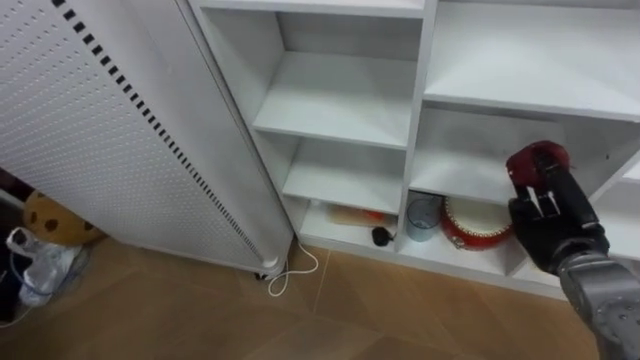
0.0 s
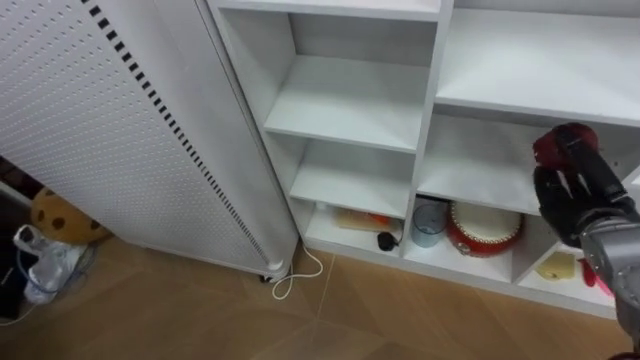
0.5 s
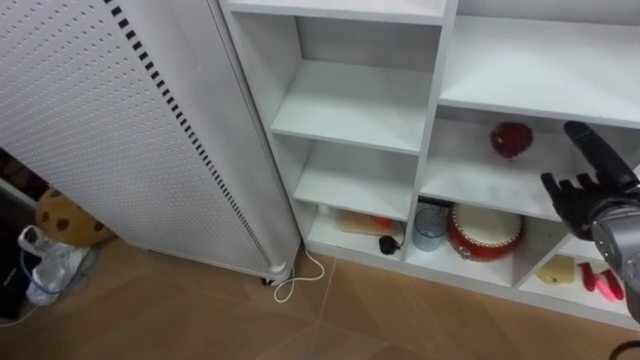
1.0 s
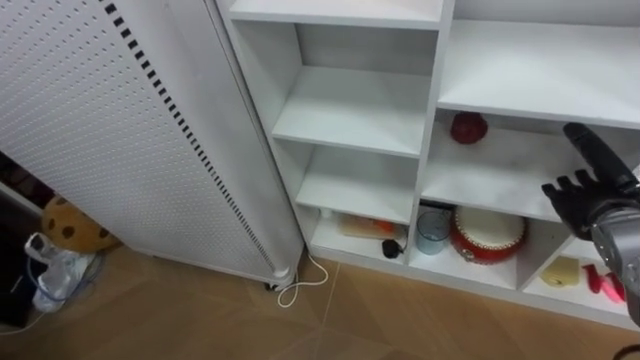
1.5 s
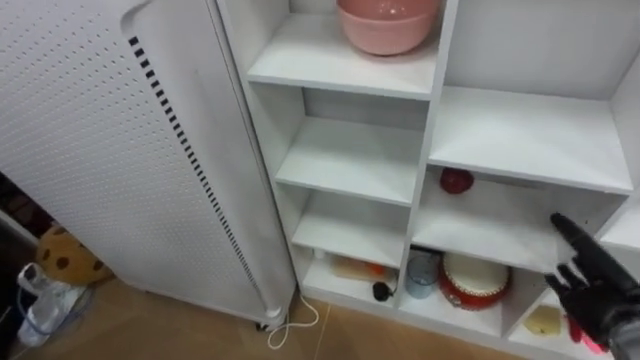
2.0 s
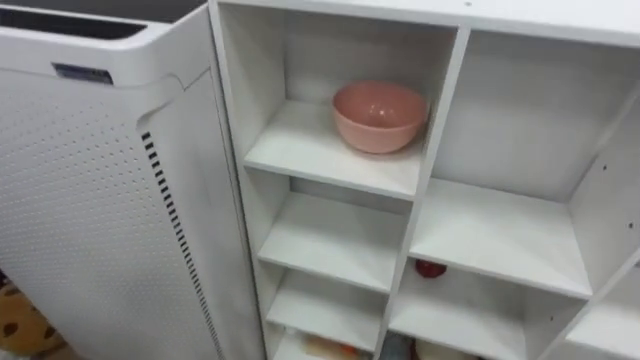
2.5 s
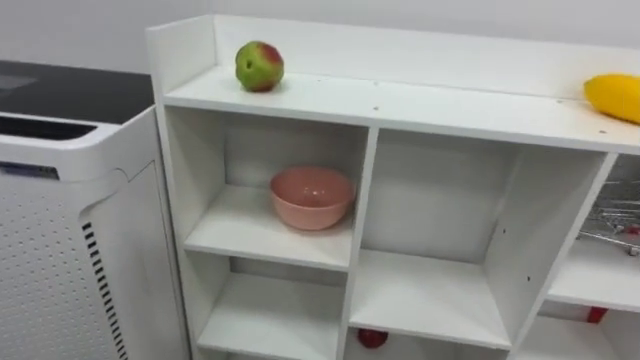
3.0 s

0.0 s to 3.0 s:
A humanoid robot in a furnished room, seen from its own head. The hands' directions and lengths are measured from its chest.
Task of the whole recording: Put the apple in the cell in the second column from the left and the second row from the top.
0.0 to 1.5 s: The right hand moves approximately 5 cm, and opens up.

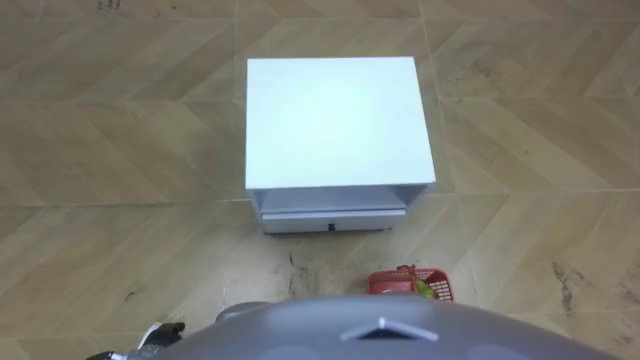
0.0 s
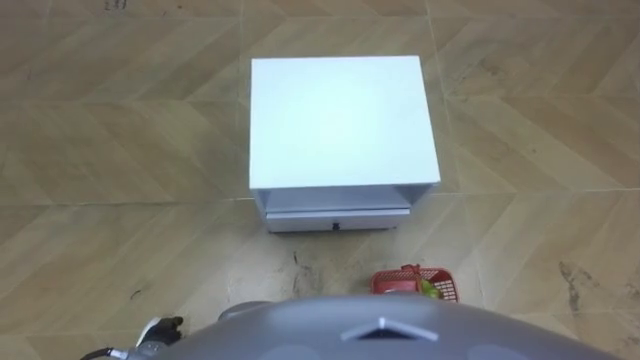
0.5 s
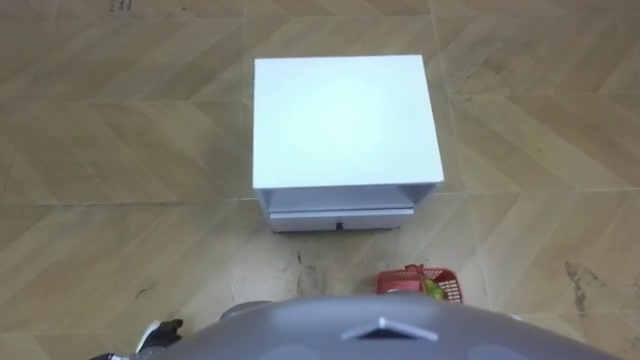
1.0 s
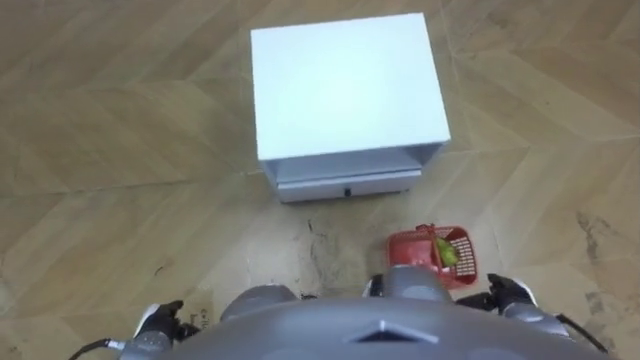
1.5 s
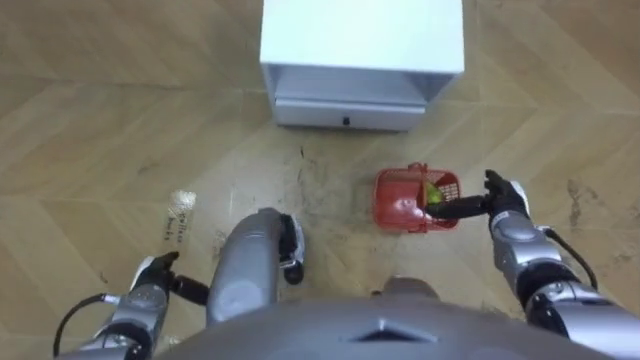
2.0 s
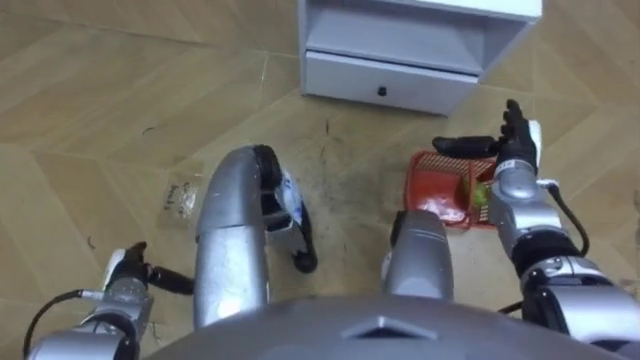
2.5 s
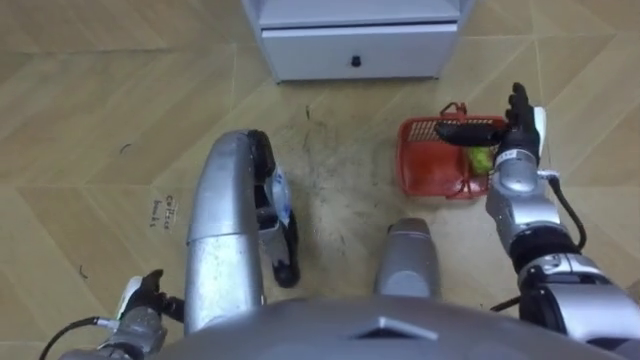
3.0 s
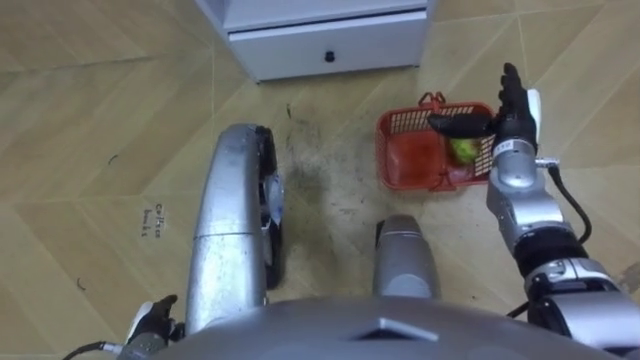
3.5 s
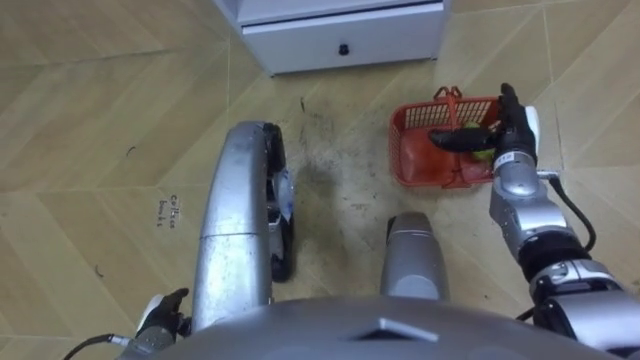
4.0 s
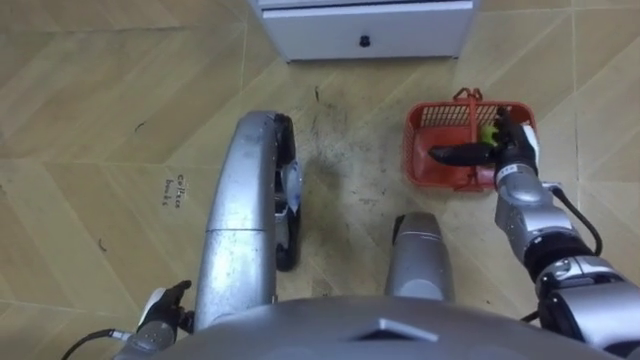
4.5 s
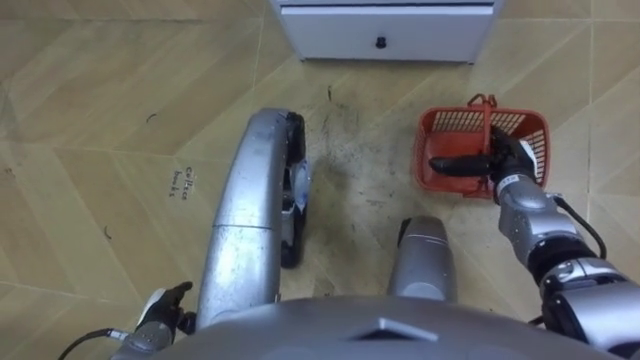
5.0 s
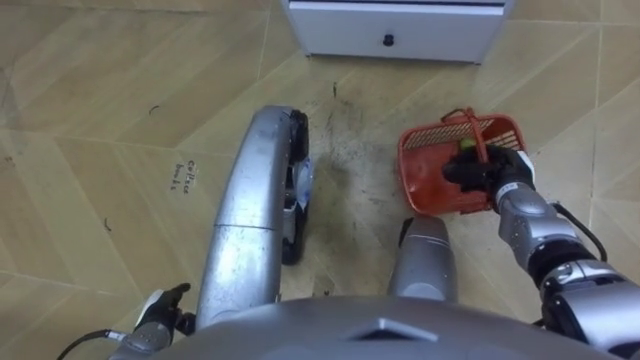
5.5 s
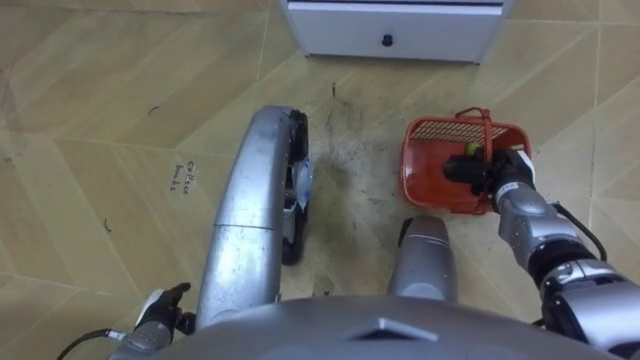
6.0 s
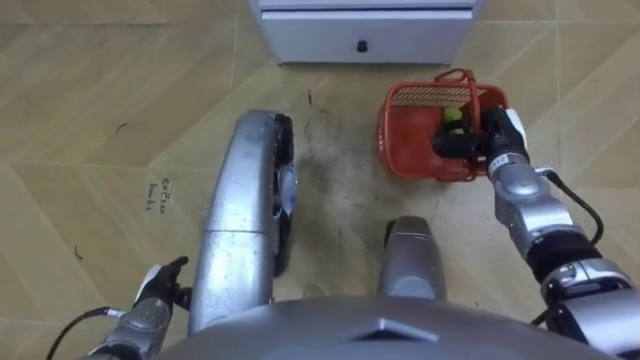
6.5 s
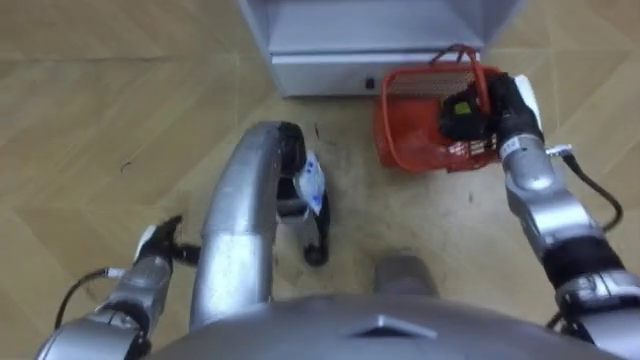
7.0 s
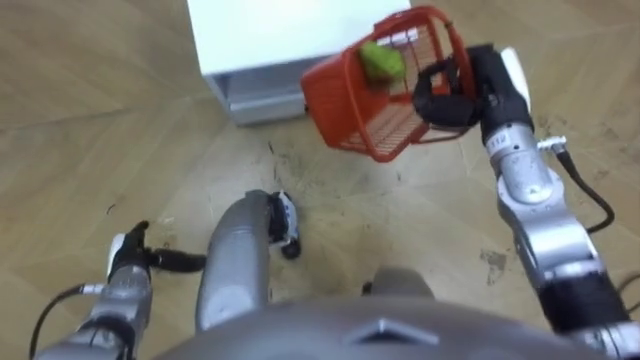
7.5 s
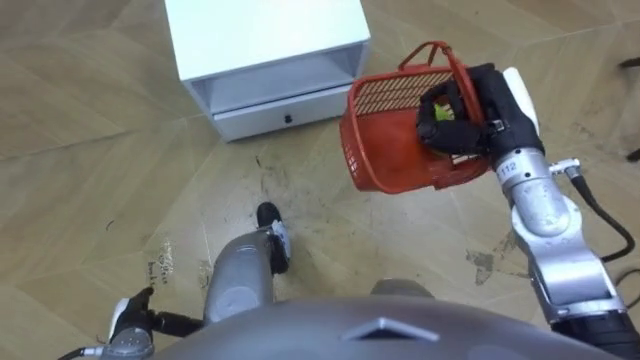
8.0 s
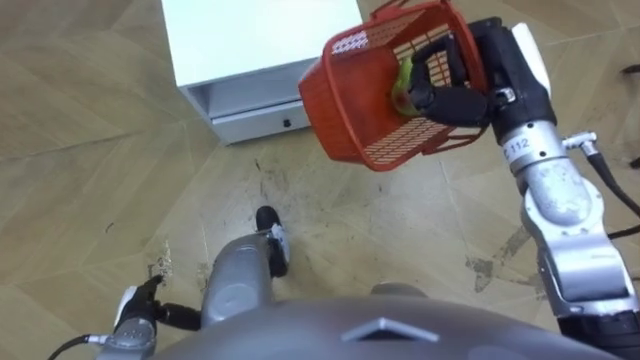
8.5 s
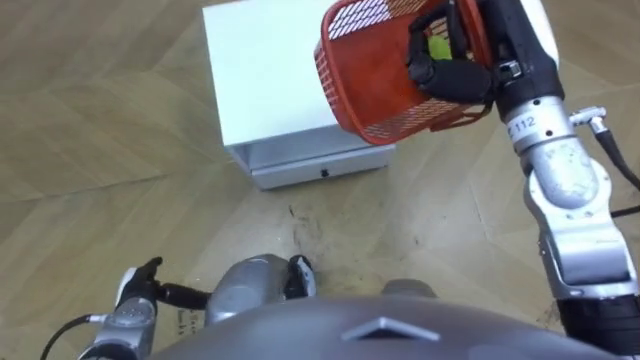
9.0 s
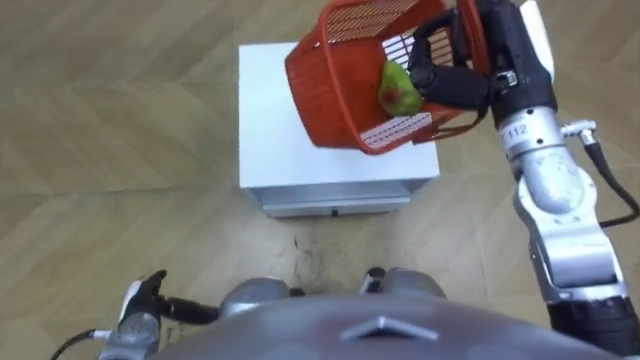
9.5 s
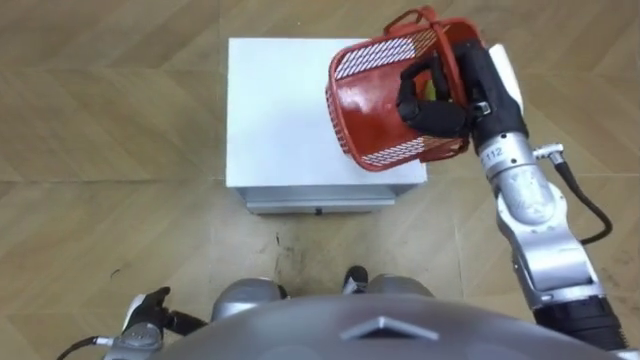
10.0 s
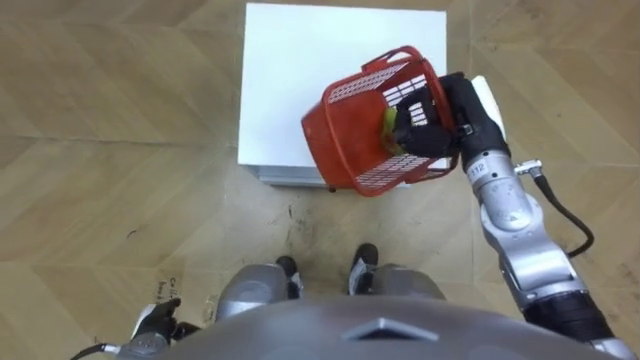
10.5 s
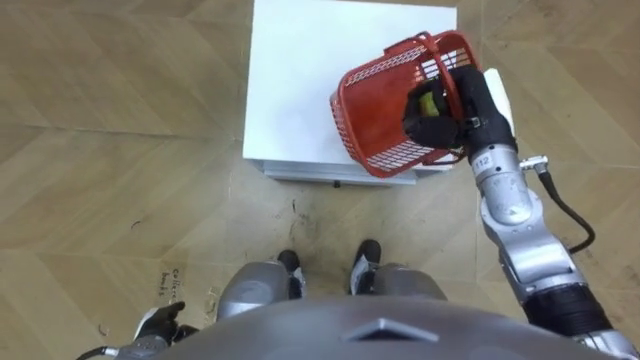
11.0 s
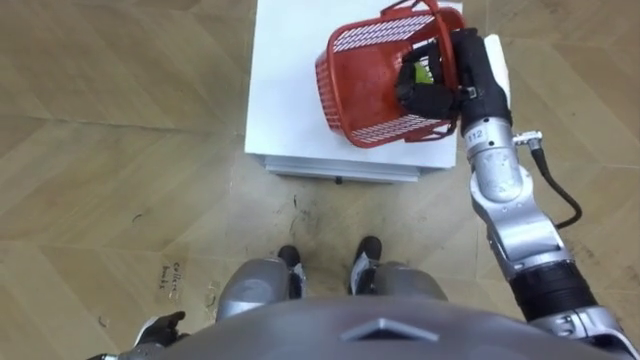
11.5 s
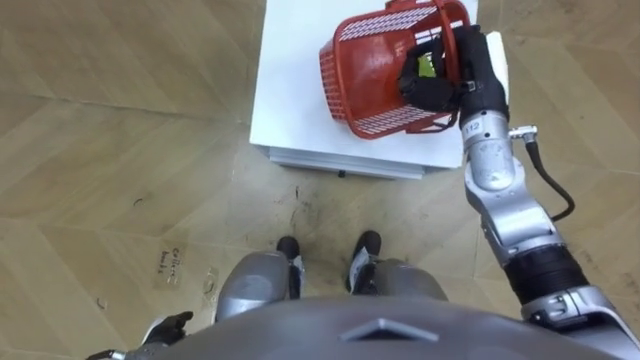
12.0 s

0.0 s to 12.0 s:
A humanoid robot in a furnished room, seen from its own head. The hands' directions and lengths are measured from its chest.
Task of the whole recording: Pick up the fruit basket from the floor and place it on the cabinet.
2.0 to 4.0 s: The right hand is displaced forward and upward by approximately 10 cm, while the left hand is displaced backward by about 5 cm.
4.0 to 6.0 s: The right hand ends up some 5 cm from where it was, and closes up.
6.0 to 8.0 s: The robot faces roughly 20 degrees further to its right. The left hand reaches some 10 cm forward, then returns. The right hand moves upward, approximately 15 cm.
8.0 to 10.0 s: The right hand goes upward and returns, approximately 10 cm each way.

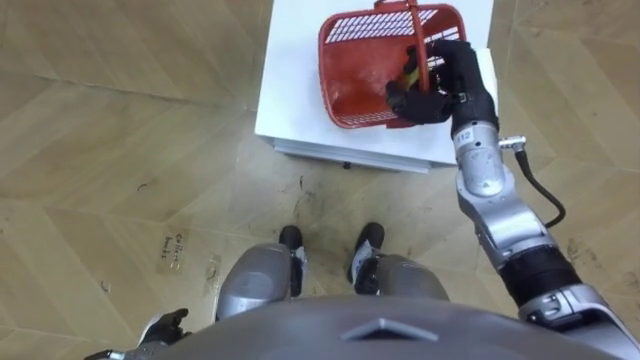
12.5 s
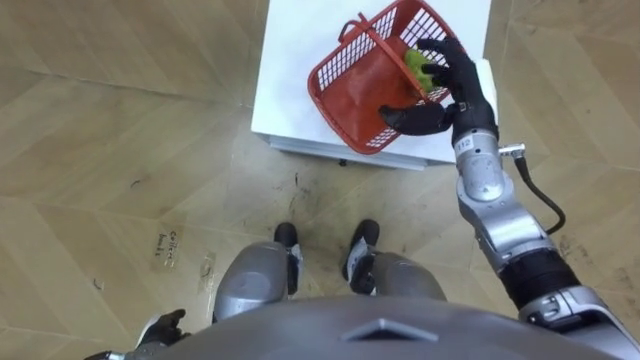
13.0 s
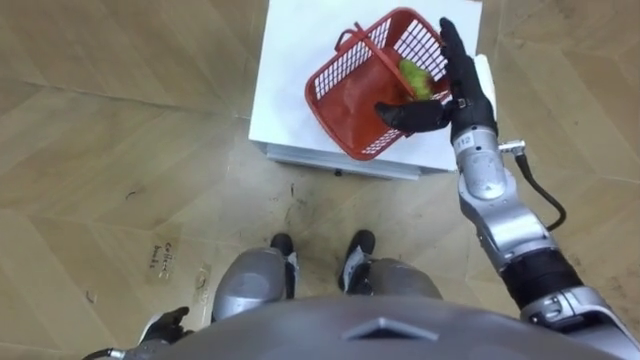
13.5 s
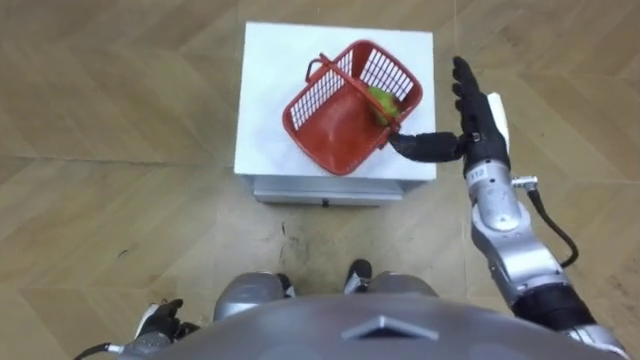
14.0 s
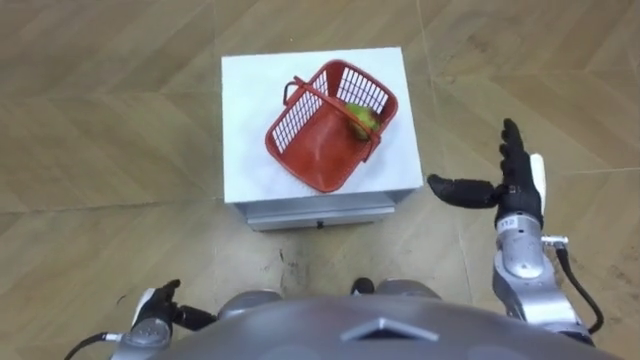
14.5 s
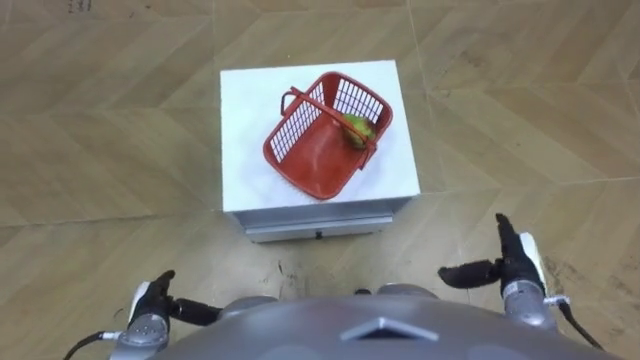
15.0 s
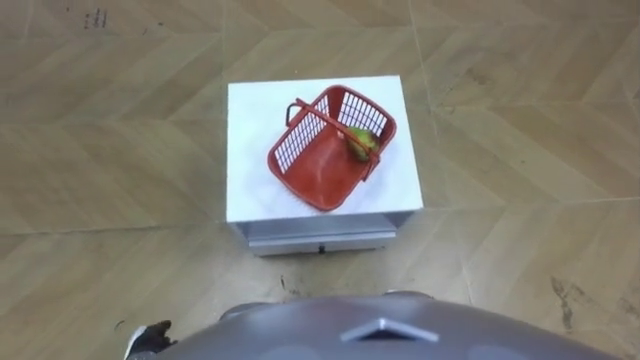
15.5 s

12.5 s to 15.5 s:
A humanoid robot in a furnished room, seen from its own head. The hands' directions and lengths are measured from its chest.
Task of the whole recording: Pick up the fruit basket from the floor and place it on the cabinet.
12.5 to 14.0 s: The right hand ends up approximately 5 cm from where it was, and opens its fingers.

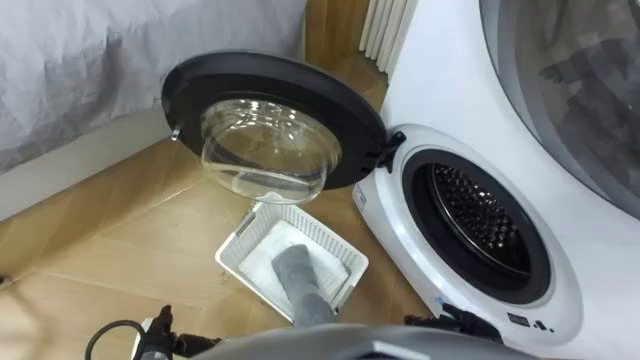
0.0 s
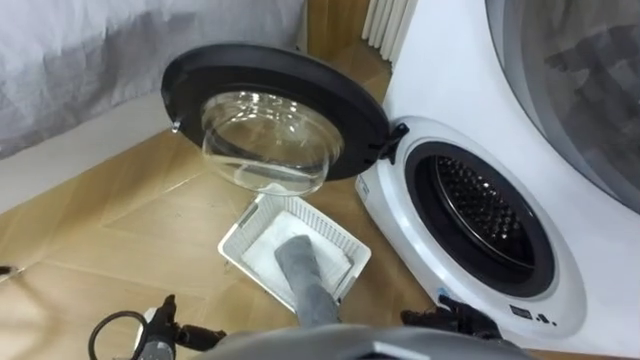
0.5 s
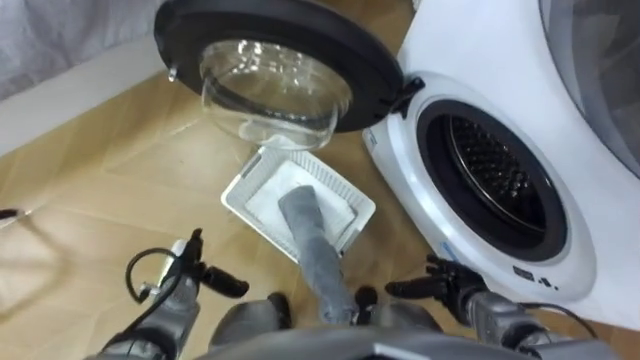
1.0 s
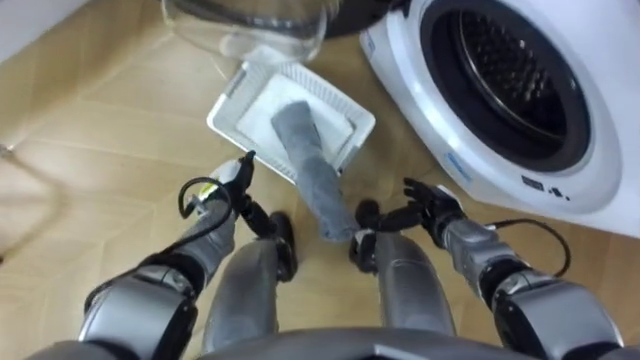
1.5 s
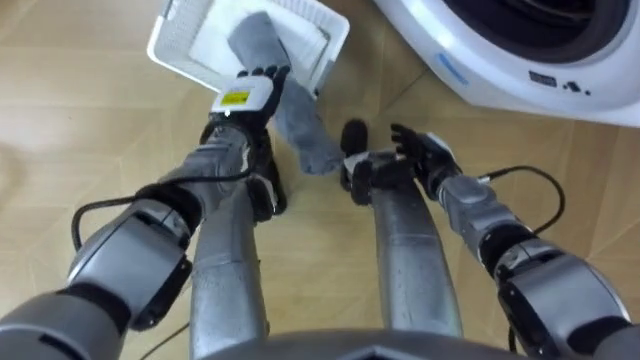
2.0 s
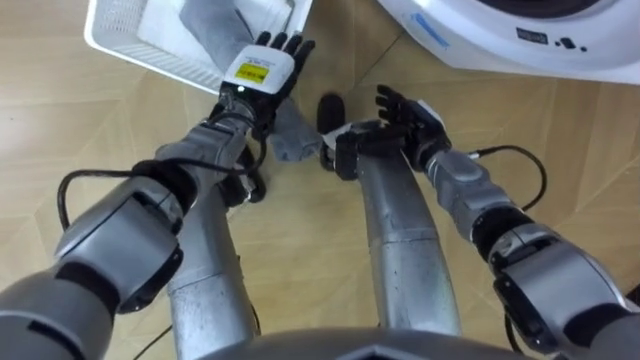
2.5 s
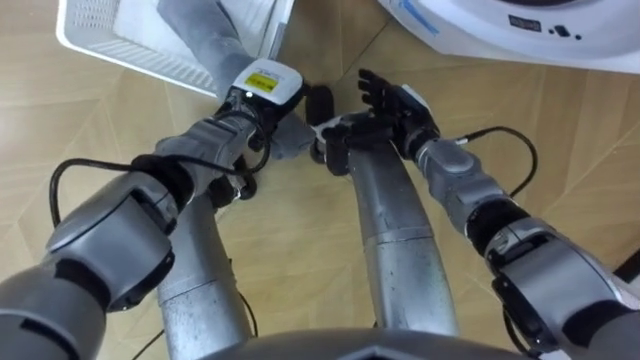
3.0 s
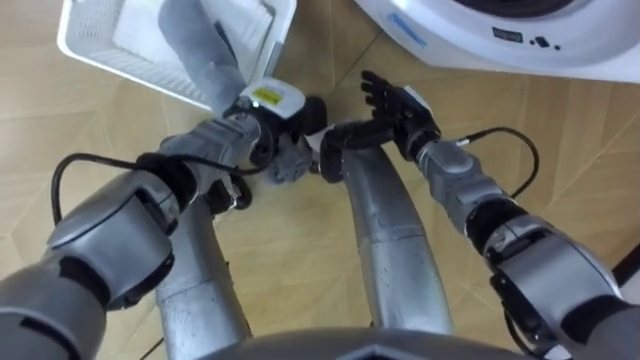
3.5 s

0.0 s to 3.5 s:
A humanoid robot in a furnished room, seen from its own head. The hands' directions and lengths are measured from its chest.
Task of the whole recording: Take the towel from the basket and put it into the washing machine.
2.0 to 3.5 s: The right hand is displaced upward by roughly 5 cm. Meanwhile the left hand closes.
